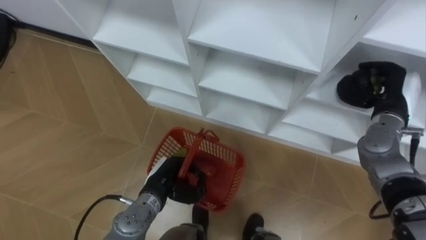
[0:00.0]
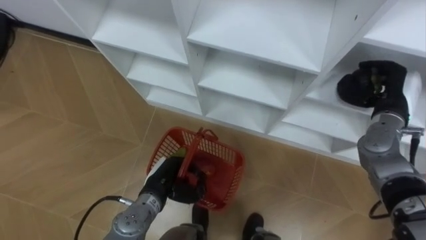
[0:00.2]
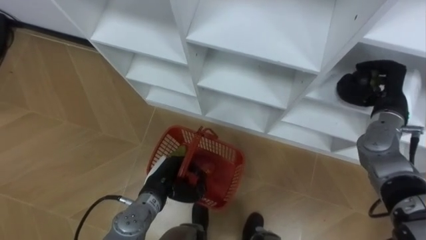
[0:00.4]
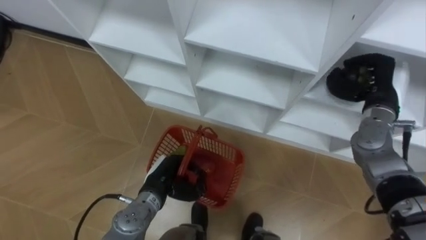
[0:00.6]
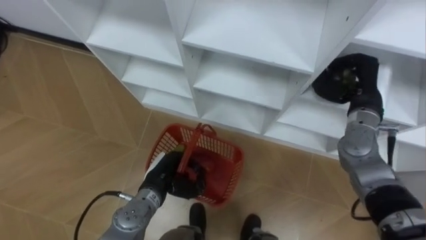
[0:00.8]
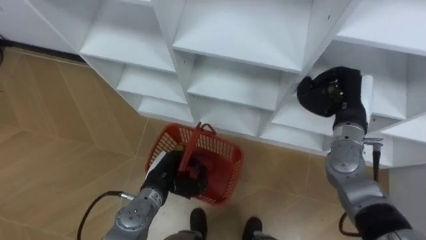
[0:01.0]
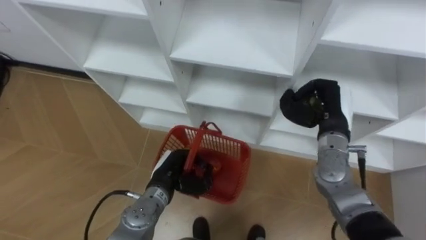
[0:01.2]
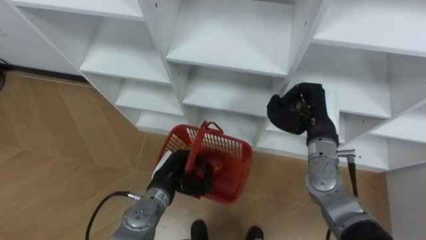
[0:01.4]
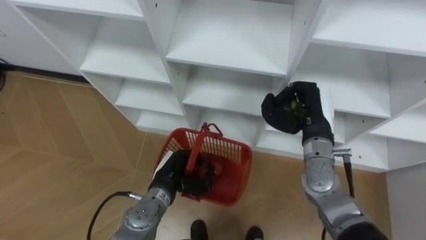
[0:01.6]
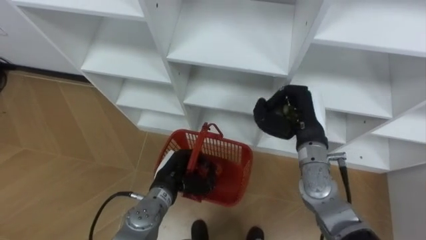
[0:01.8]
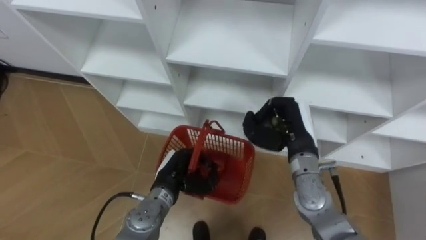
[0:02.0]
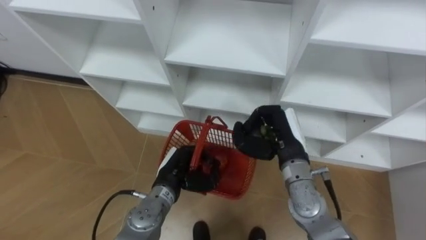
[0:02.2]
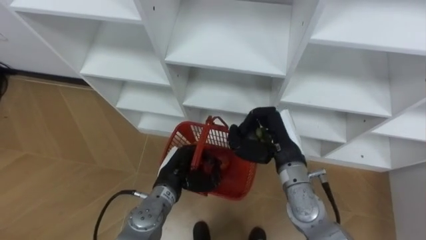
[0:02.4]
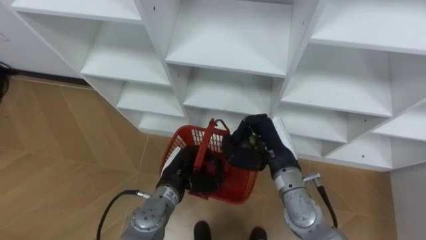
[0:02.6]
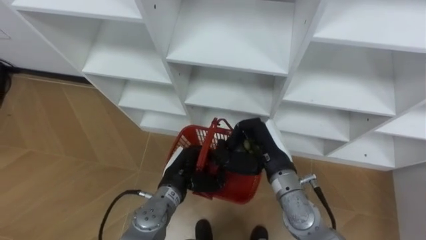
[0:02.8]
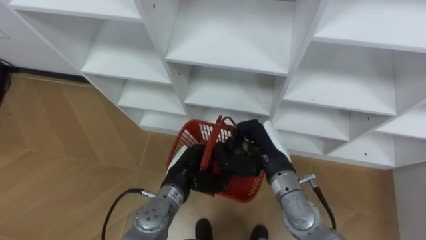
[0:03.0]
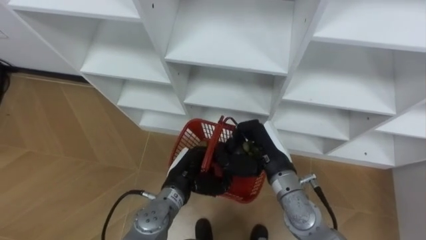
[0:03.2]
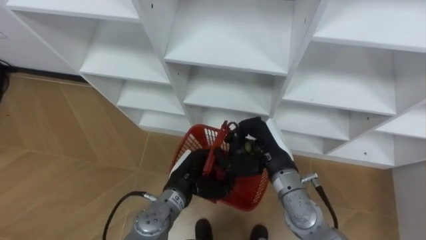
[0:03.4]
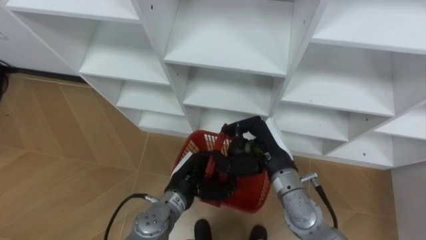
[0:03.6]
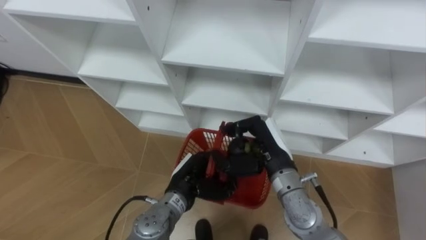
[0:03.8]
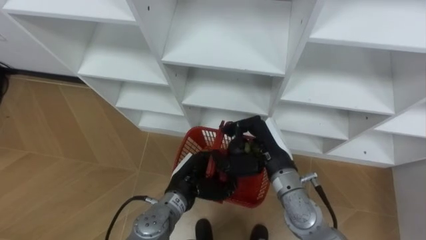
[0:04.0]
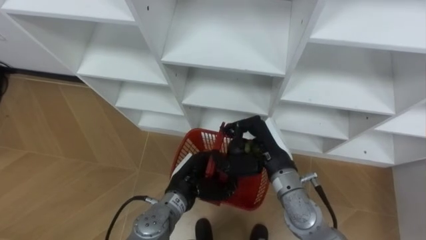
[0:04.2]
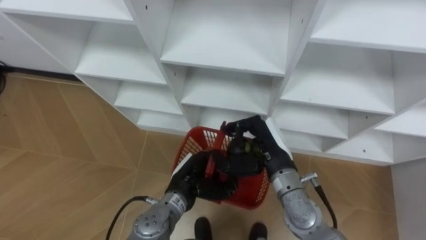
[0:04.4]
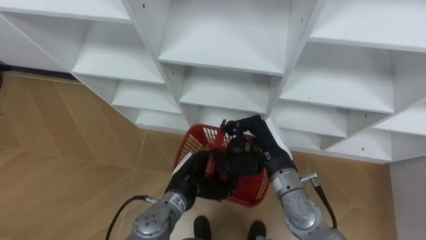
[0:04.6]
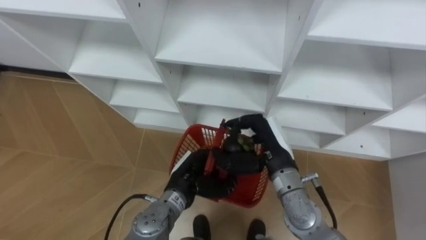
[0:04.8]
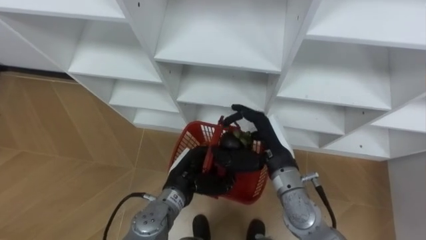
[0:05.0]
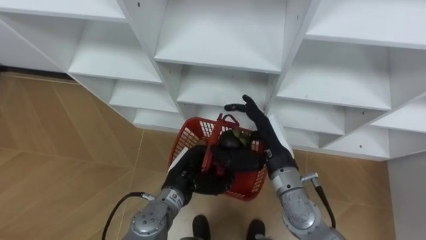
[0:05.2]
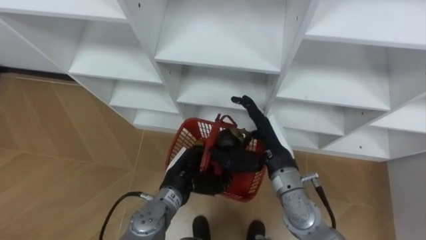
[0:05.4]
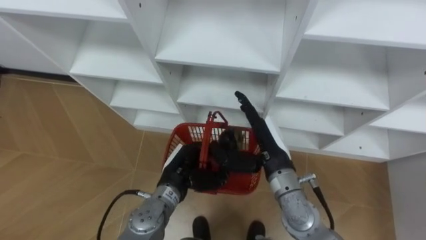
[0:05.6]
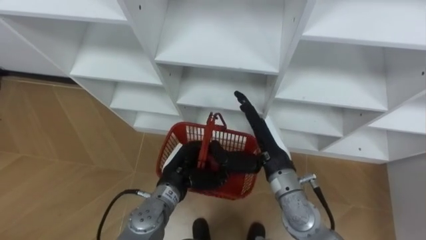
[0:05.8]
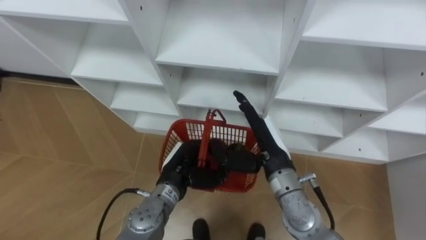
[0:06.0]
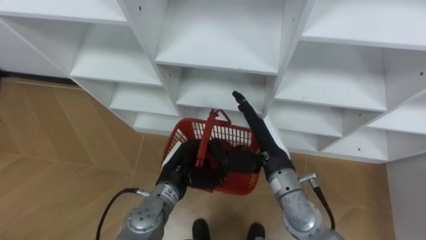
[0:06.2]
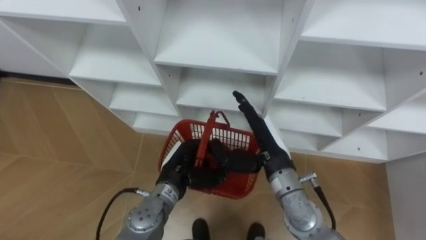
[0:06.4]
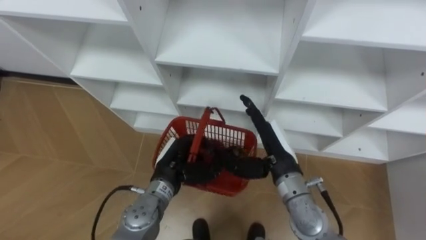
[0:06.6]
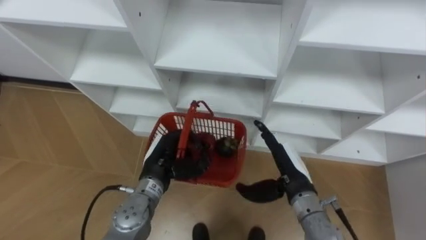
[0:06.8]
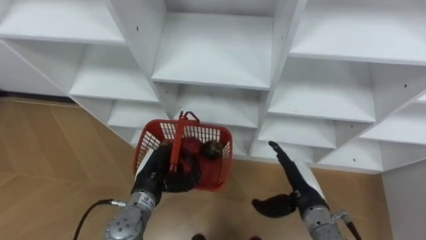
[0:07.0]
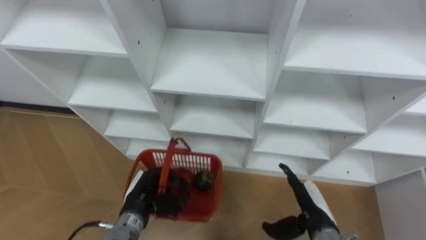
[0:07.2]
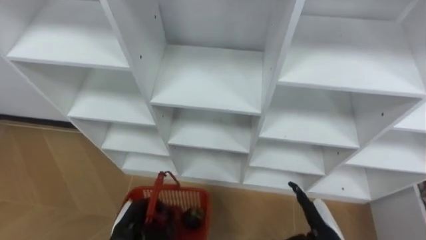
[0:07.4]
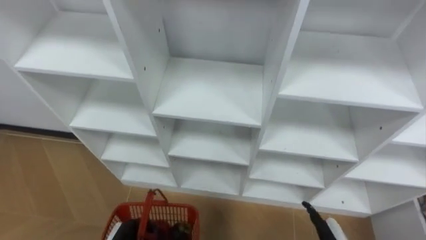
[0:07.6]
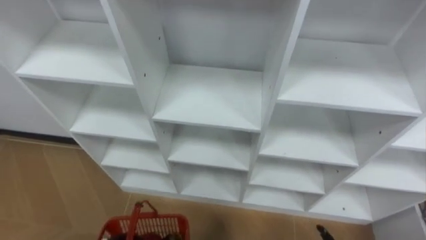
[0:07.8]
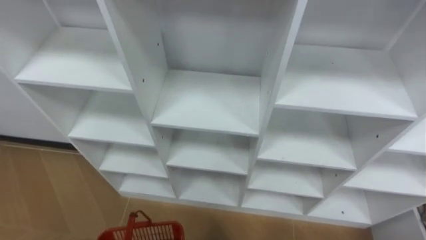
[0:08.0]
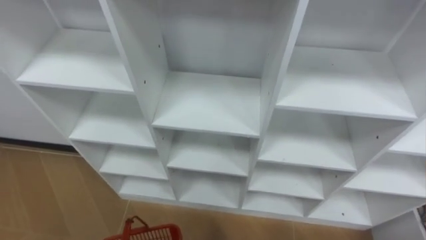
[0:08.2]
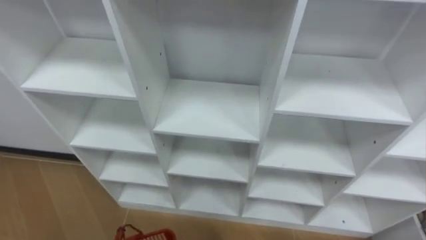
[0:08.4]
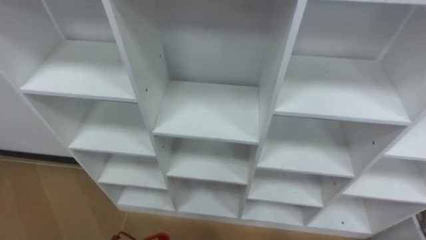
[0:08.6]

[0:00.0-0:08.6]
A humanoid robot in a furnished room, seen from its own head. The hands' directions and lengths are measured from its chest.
Task of the whole recording: Hold the basket and collect the fruits from 3 different cells of the closet into it.
0:00.0 to 0:01.4: The right hand heads to the left, covering some 15 cm.
0:01.4 to 0:02.8: The right hand travels to the left and backward by roughly 10 cm.
0:02.8 to 0:04.4: The hands stay close to where they were, moving slightly.
0:04.4 to 0:05.8: The right hand opens up.
0:05.8 to 0:07.2: The left hand is displaced to the left by about 5 cm, while the right hand goes roughly 15 cm downward, to the right and backward.

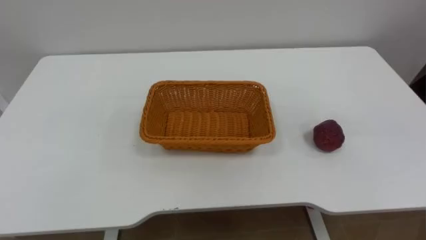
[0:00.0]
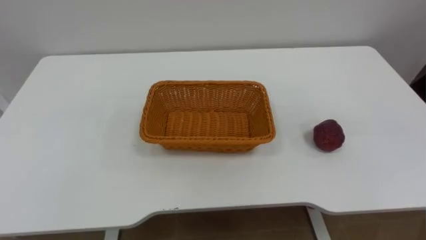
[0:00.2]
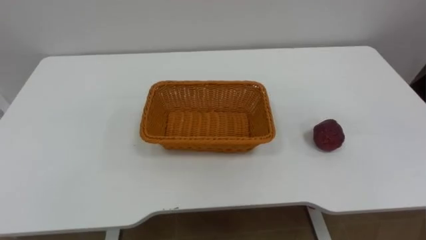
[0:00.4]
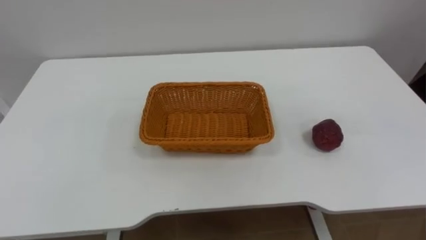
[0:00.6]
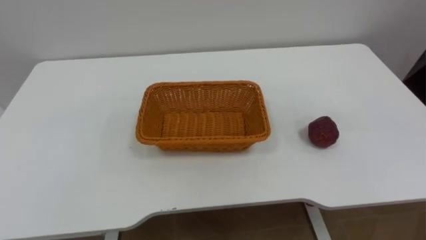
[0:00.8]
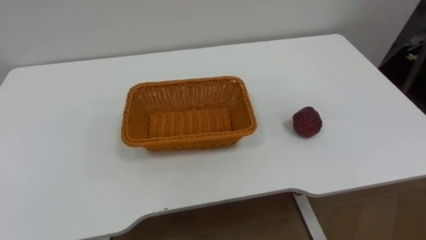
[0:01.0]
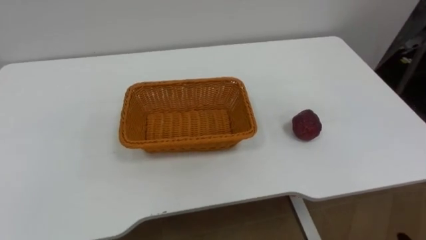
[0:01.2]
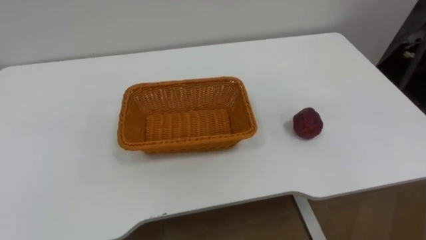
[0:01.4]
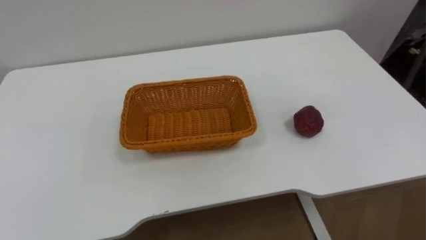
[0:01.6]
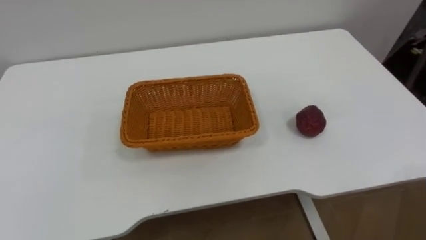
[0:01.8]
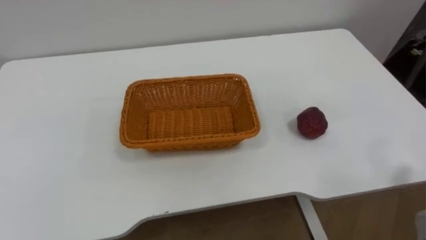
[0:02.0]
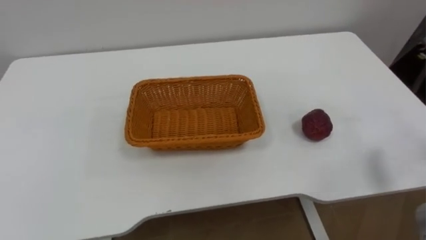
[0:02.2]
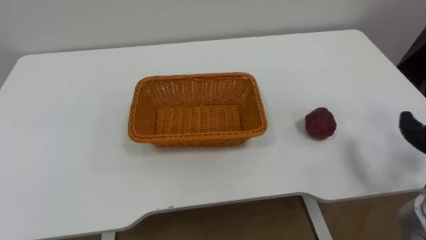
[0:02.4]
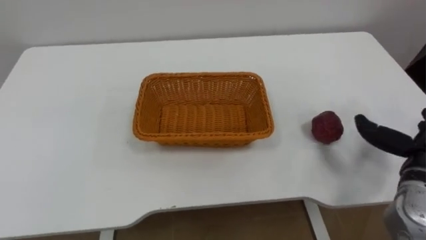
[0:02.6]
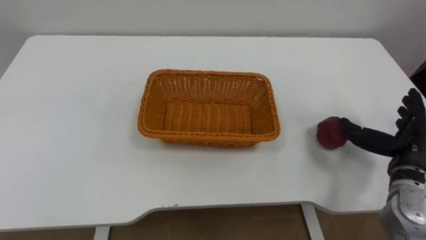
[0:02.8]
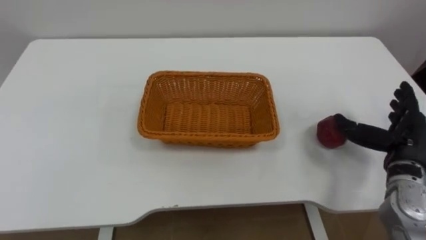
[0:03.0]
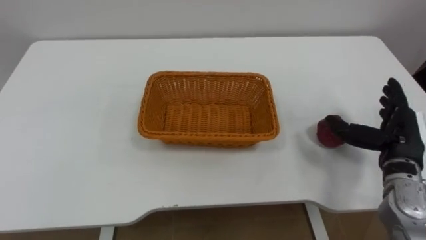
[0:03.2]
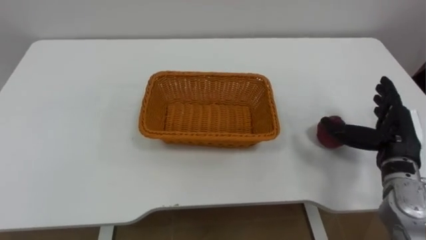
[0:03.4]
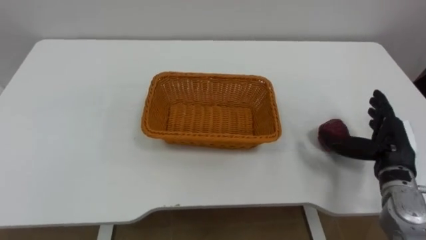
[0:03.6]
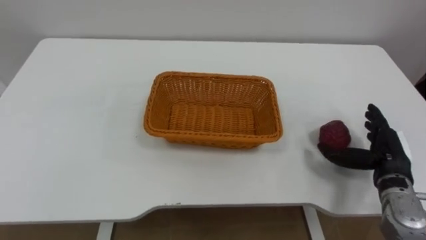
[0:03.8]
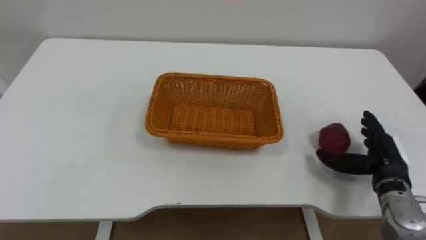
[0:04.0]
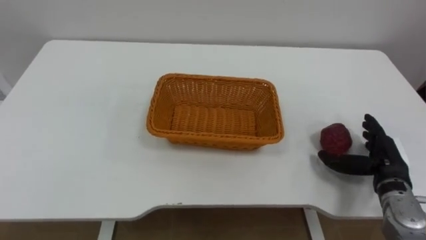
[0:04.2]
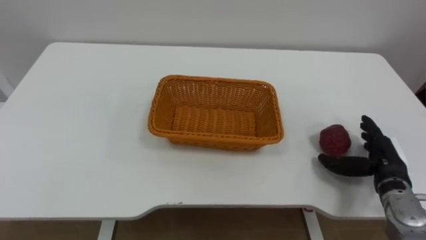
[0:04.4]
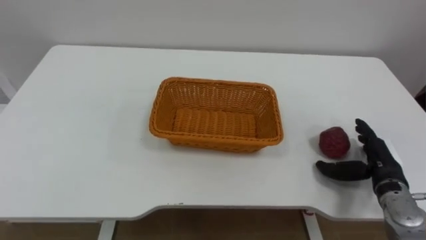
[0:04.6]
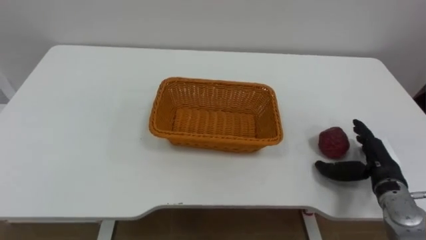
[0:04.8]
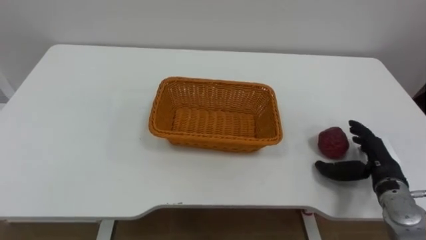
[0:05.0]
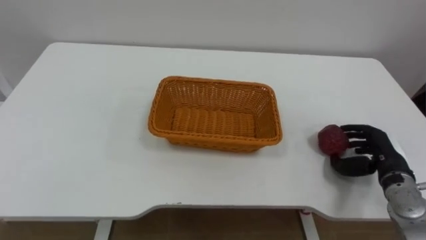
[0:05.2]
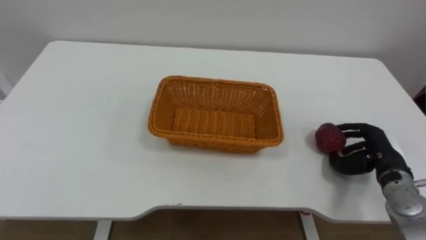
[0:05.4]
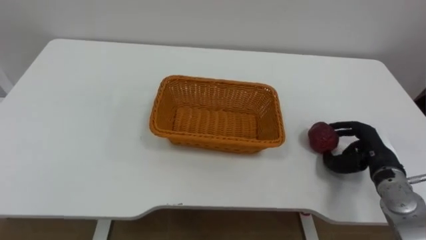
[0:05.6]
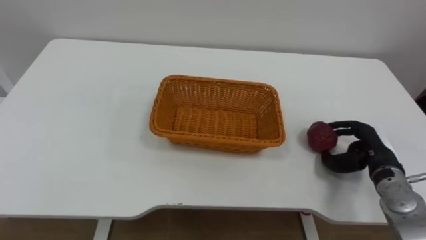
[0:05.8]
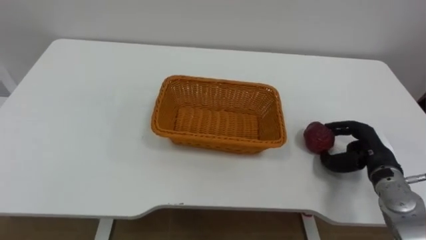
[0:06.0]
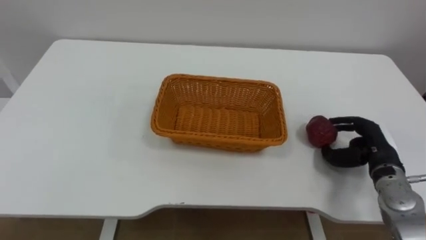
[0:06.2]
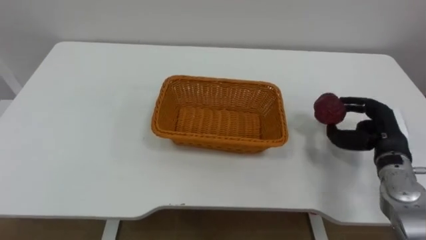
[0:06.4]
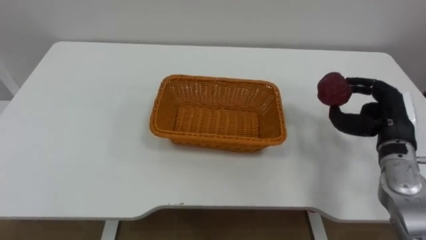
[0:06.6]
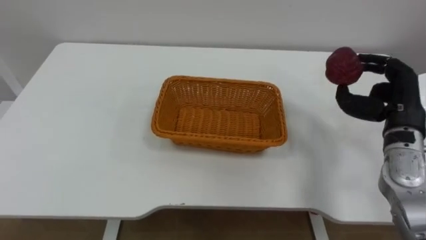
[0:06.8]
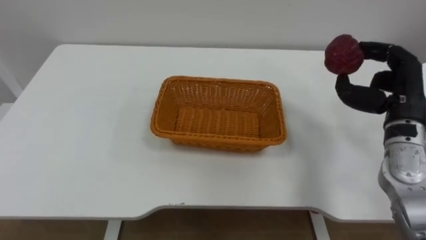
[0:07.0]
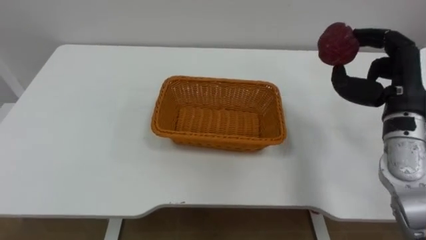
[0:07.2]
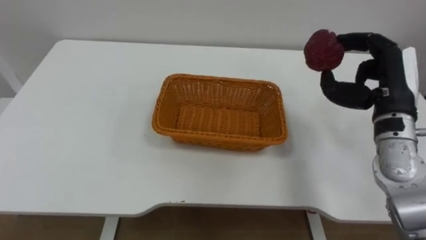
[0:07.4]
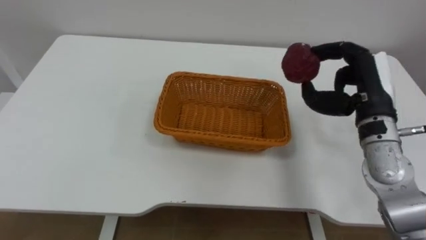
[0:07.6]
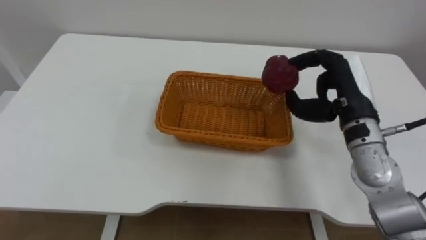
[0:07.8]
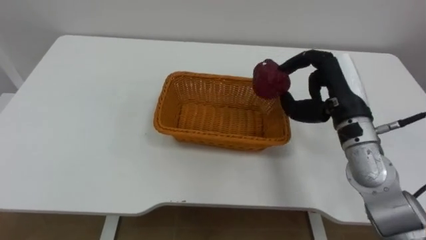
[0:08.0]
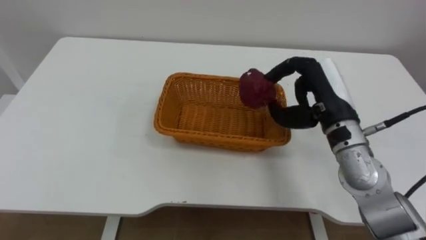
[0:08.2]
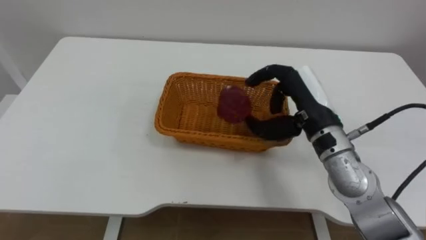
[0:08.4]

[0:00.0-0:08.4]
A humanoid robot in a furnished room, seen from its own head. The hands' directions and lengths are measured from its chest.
Task of the whole recording: Pick the apple and place it in the box.
0:02.8 to 0:04.2: The right hand is displaced downward by some 5 cm.
0:04.2 to 0:05.6: The right hand closes its fingers.
0:05.6 to 0:07.0: The right hand is displaced upward by roughly 15 cm.
0:07.0 to 0:08.4: The right hand goes approximately 15 cm to the left.
